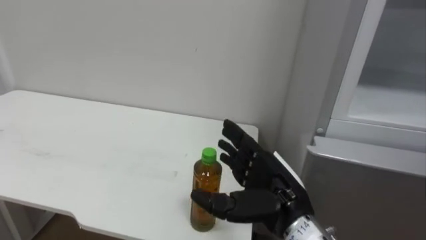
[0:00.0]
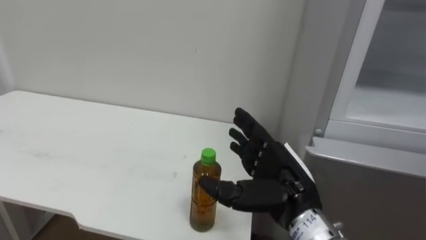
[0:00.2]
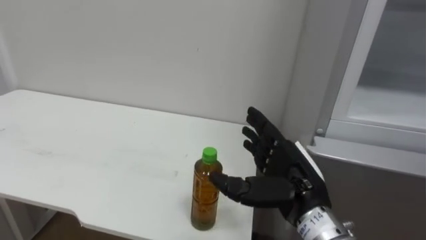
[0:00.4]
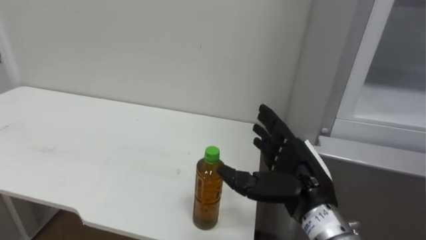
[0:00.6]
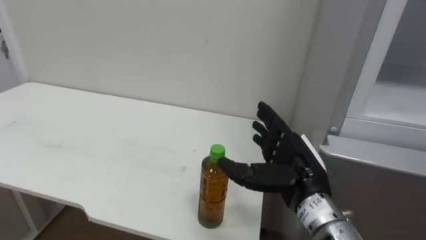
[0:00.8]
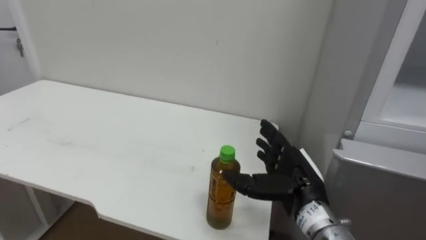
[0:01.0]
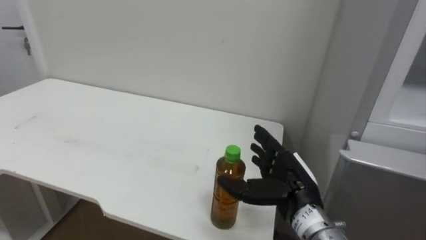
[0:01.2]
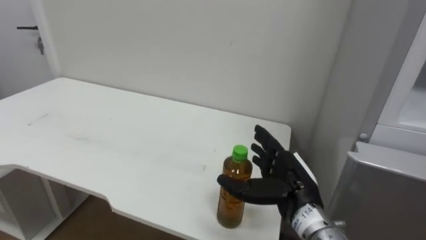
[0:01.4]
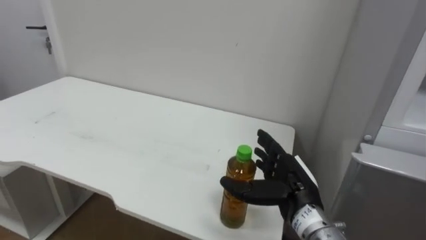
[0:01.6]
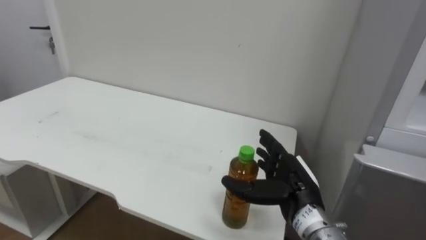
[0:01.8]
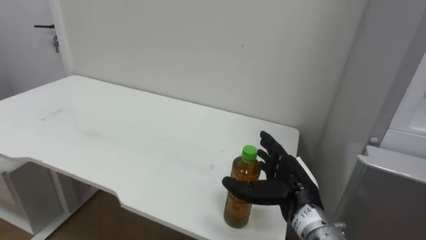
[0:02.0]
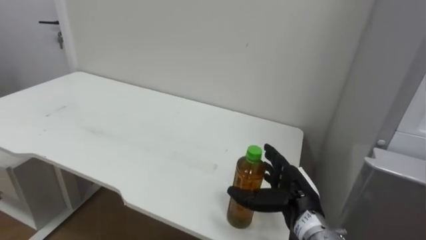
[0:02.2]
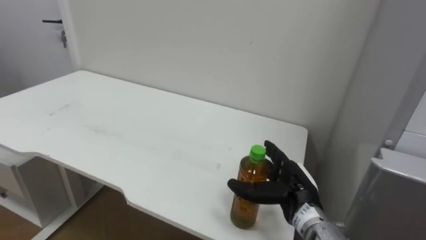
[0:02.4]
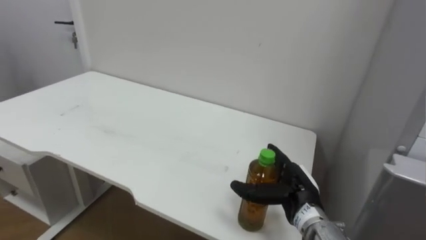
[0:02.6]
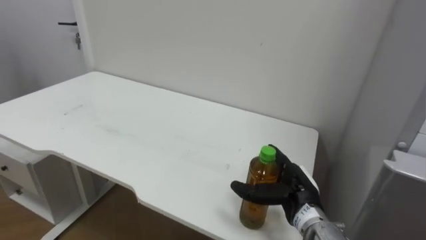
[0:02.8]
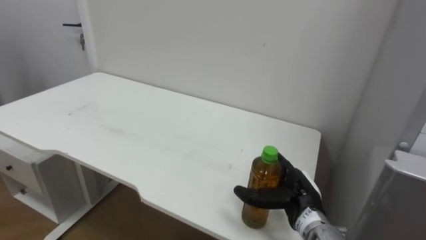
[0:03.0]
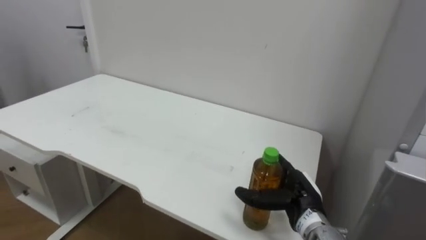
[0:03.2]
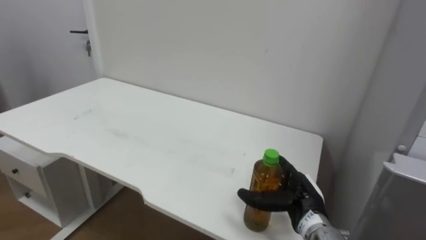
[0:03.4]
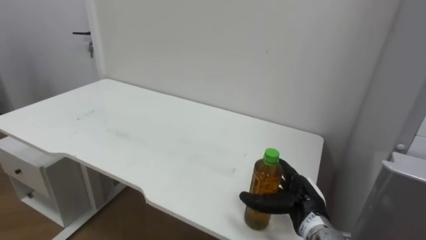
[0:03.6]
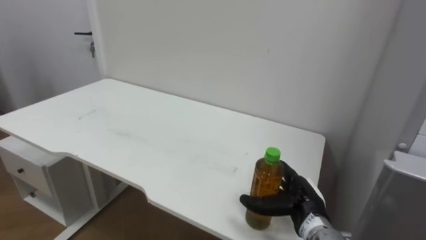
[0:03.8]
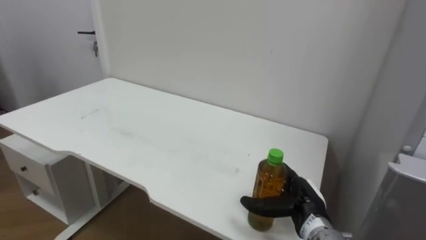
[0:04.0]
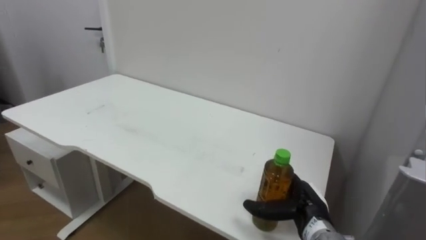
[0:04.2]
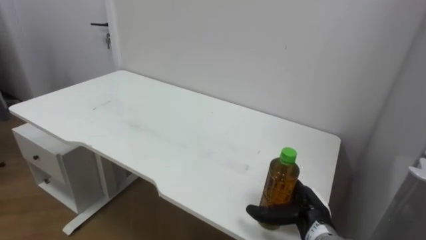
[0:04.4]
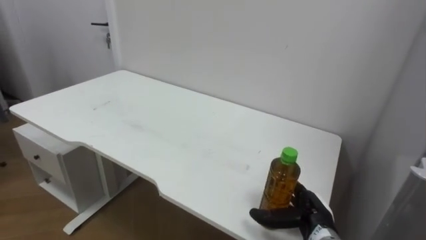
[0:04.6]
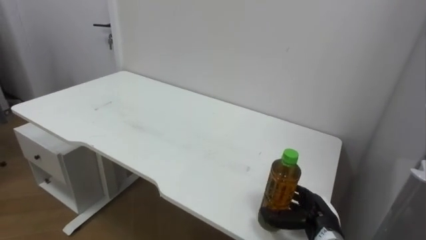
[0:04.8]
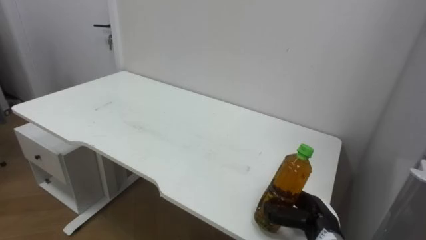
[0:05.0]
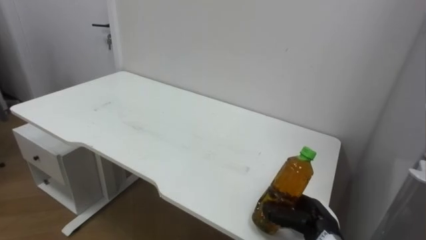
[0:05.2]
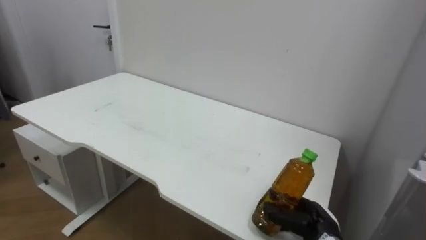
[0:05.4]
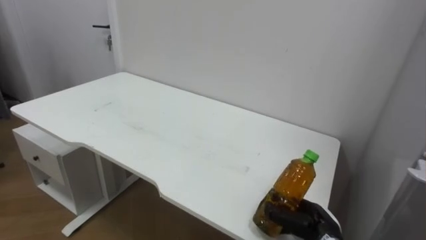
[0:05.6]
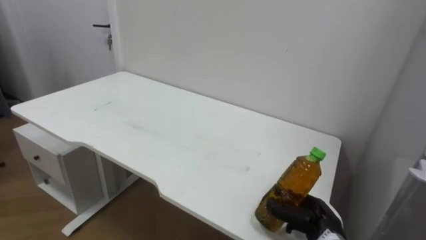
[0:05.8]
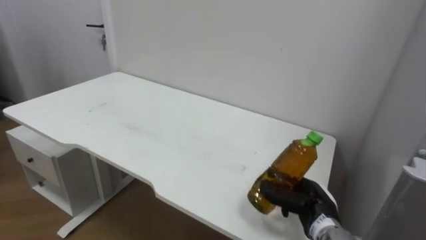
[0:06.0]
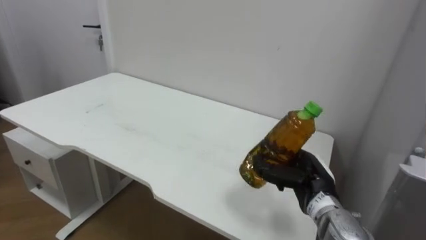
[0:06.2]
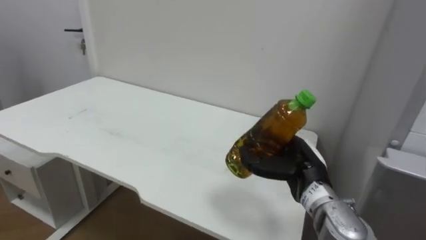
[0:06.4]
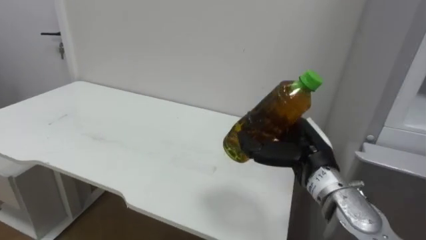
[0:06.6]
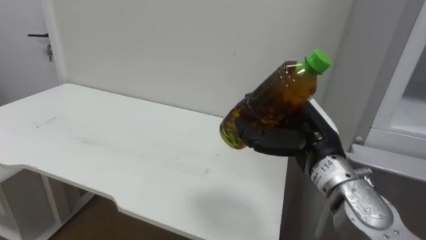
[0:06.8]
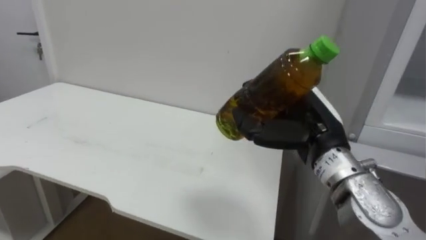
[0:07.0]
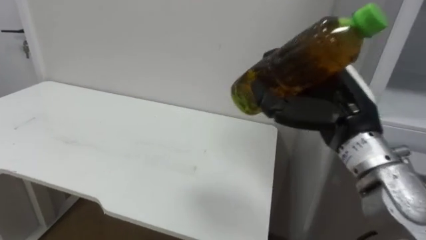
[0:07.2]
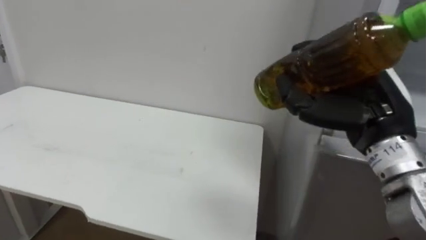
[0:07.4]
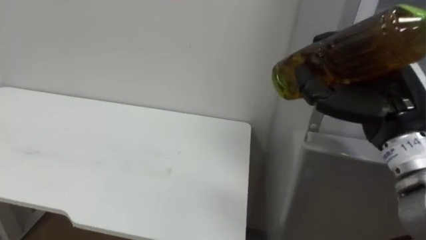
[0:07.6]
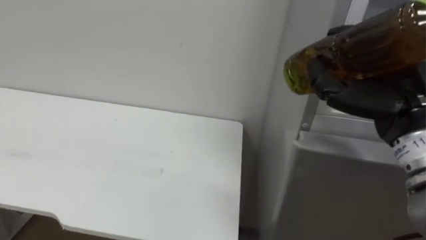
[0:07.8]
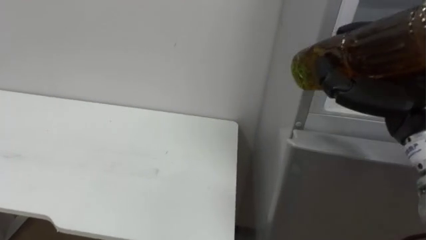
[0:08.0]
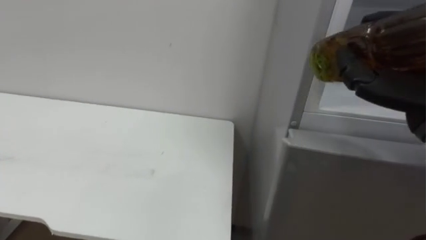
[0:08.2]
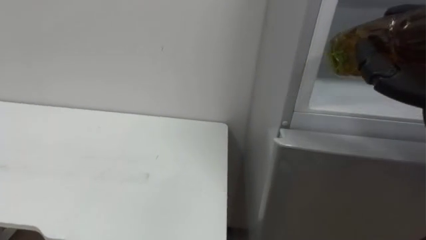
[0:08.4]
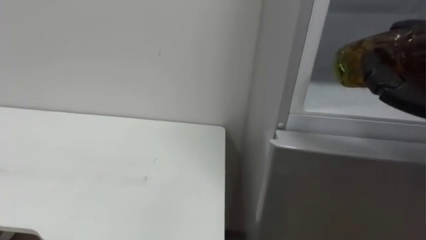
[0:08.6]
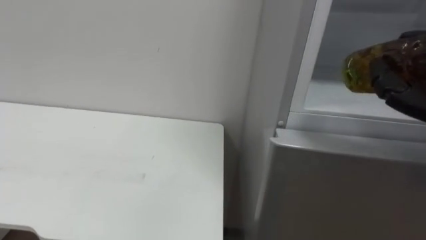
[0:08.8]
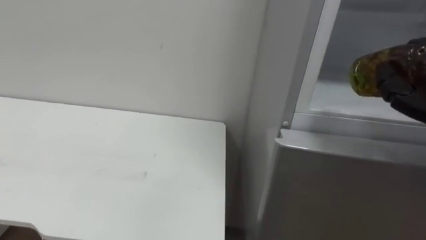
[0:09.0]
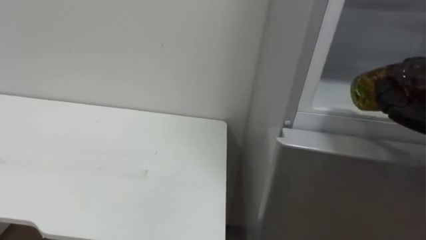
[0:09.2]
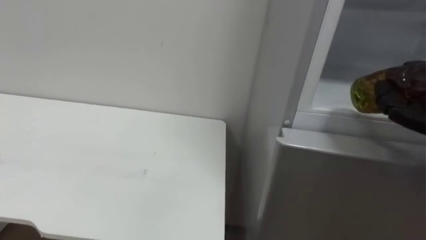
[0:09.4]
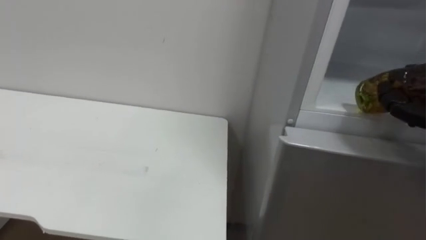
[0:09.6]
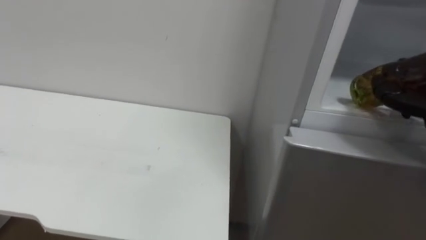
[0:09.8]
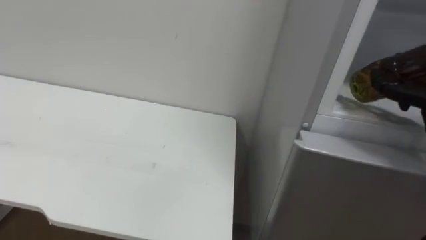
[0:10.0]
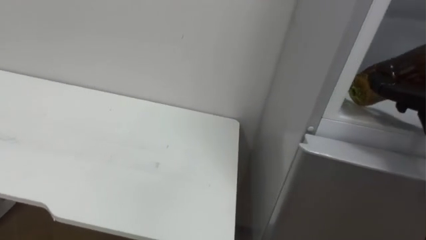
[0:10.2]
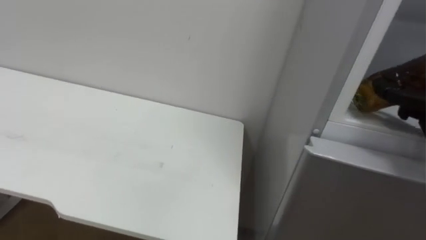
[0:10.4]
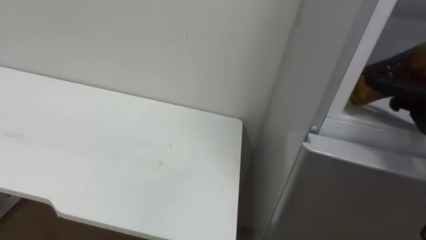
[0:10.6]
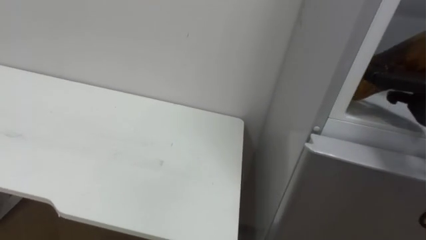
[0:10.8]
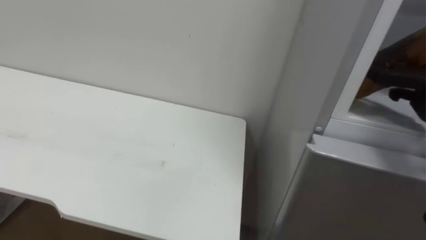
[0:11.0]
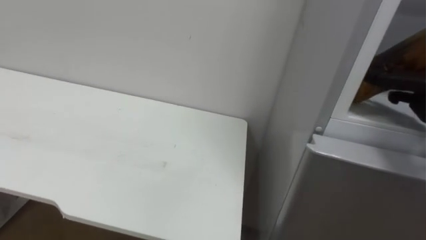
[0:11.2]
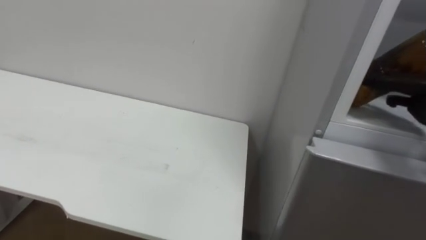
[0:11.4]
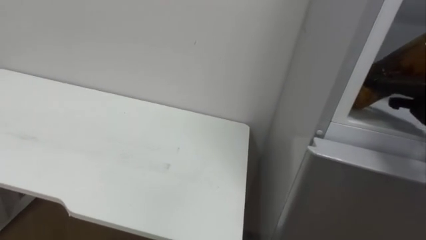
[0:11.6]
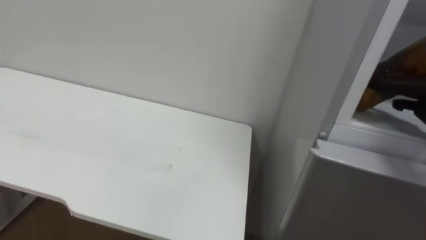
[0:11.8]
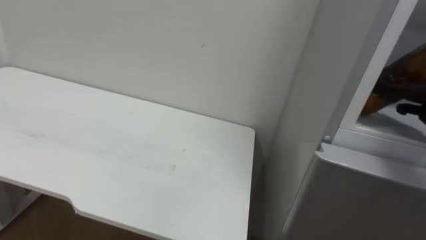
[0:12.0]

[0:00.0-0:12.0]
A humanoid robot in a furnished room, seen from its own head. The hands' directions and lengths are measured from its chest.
Task of the whole recording: Open the upper refrigerator door, put the drink from the table into the refrigerator, and then close the refrigerator door.
0:00.0 to 0:01.6: The right hand ends up about 5 cm from where it was.
0:01.6 to 0:03.0: The right hand shifts approximately 5 cm downward.
0:04.4 to 0:06.0: The right hand closes up.
0:06.0 to 0:07.6: The right hand shifts approximately 25 cm upward.

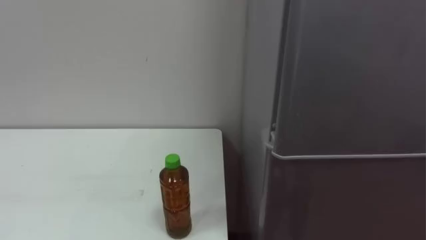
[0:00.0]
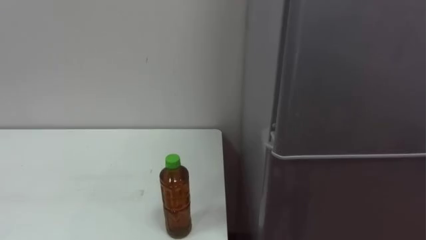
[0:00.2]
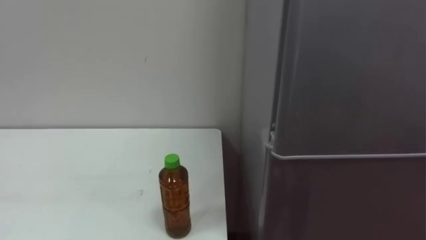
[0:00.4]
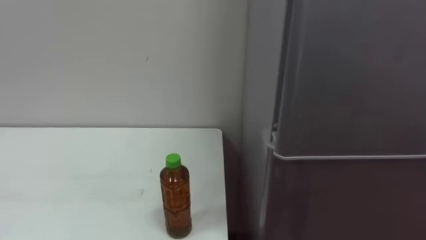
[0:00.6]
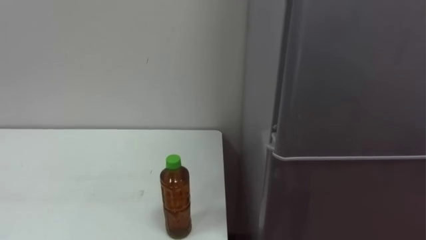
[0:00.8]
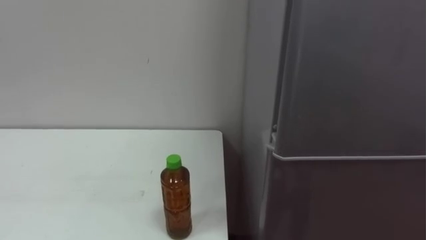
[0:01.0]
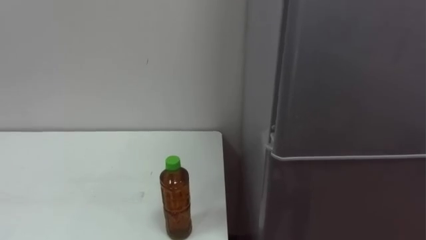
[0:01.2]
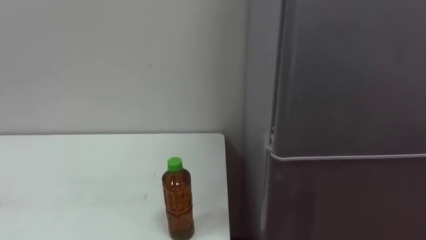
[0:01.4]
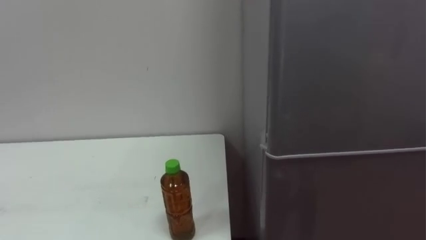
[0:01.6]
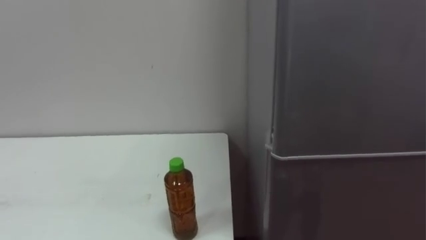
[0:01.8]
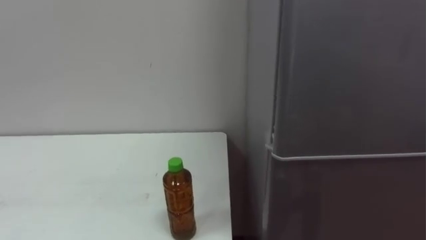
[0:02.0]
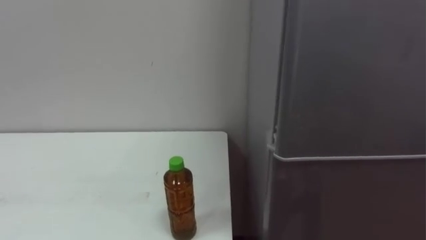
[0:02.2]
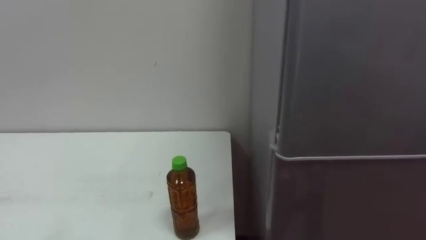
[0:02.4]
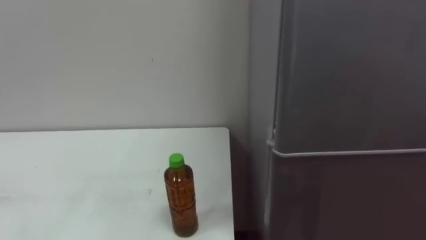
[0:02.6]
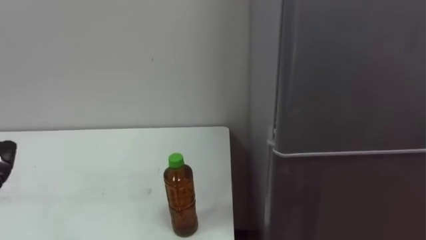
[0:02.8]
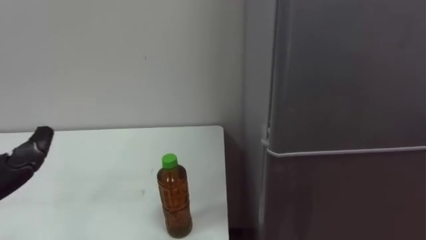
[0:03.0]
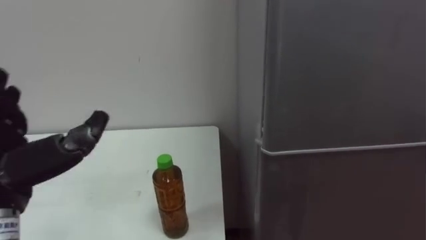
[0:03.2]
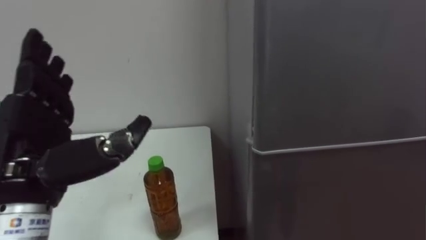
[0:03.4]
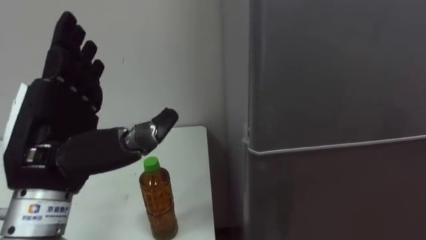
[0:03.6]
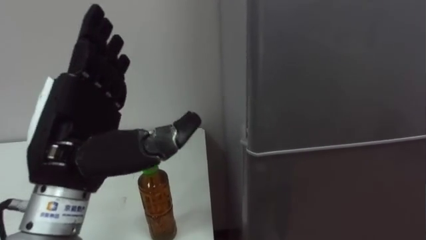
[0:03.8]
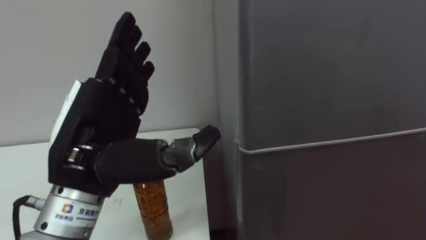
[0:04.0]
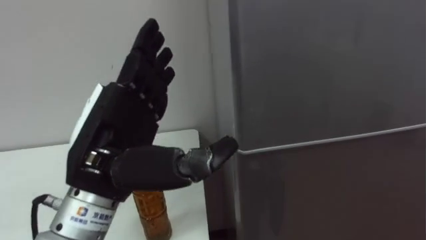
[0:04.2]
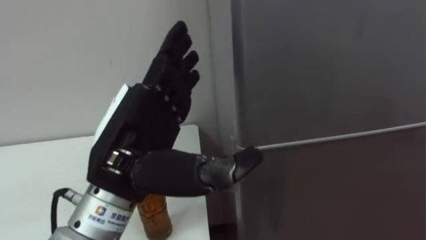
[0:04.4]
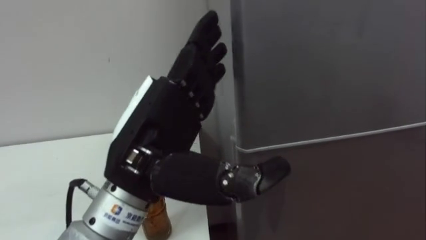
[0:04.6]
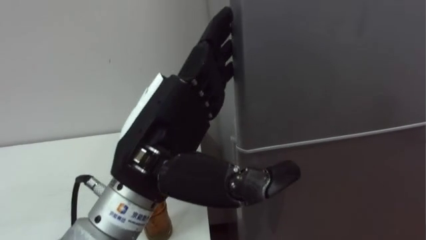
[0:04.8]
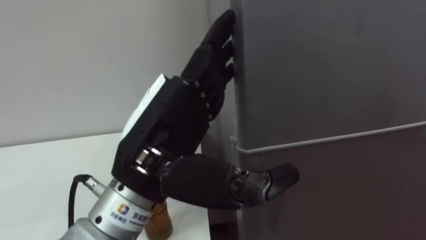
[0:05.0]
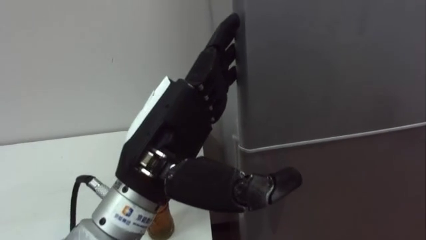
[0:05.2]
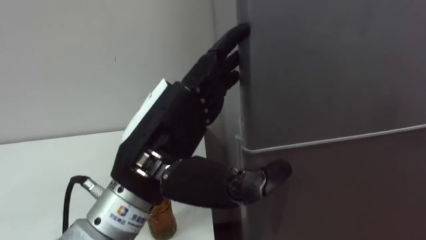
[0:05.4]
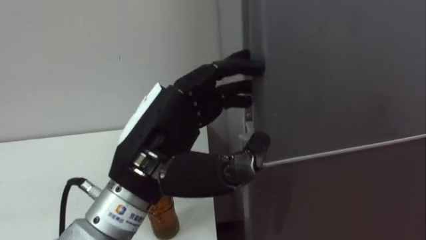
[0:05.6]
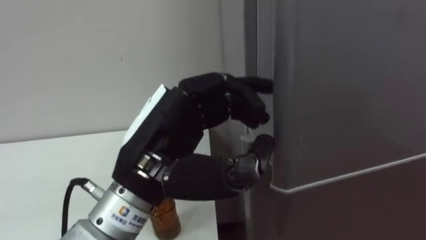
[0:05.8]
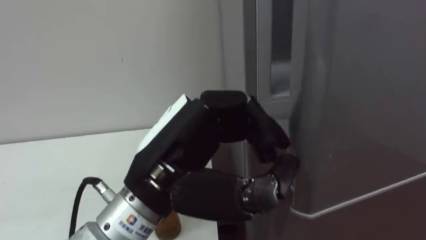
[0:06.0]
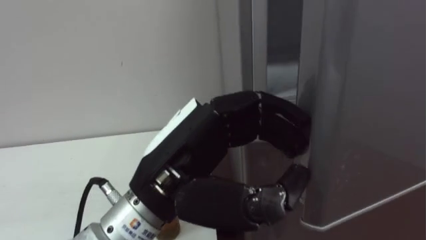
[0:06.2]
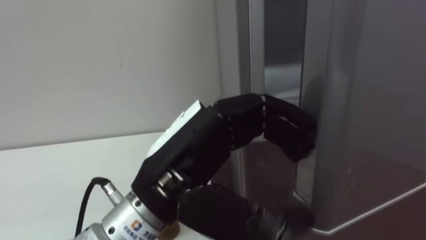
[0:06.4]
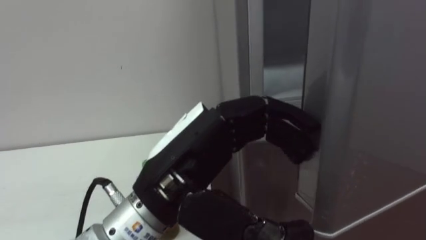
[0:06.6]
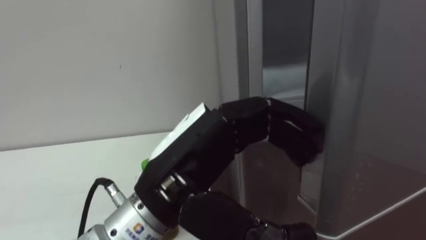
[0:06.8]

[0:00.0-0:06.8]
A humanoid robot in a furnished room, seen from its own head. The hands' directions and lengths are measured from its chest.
Task of the whole recording: Open the upper refrigerator door, put the drink from the table into the refrigerator, and then close the refrigerator door.
0:04.0 to 0:05.4: The left hand shifts roughly 10 cm to the right.
0:05.4 to 0:06.8: The left hand closes, then opens again.
